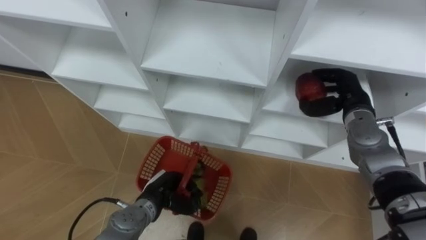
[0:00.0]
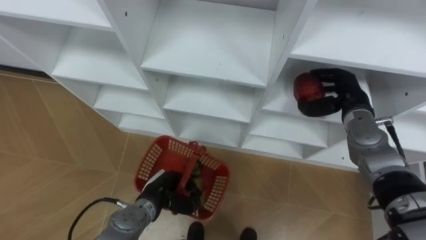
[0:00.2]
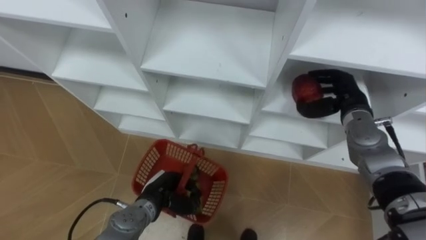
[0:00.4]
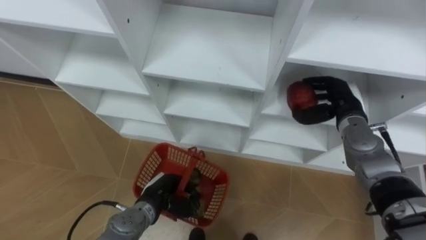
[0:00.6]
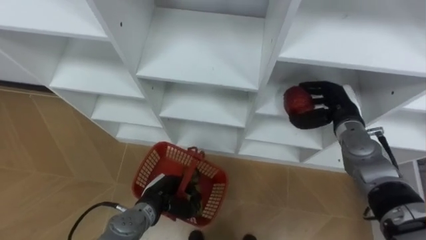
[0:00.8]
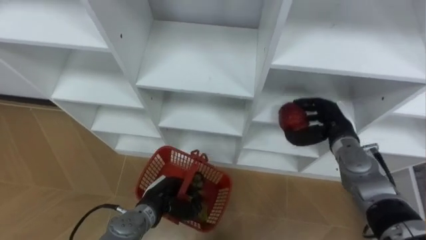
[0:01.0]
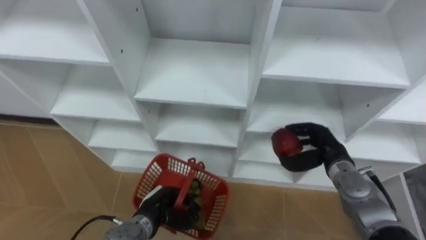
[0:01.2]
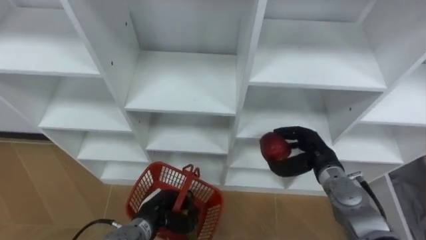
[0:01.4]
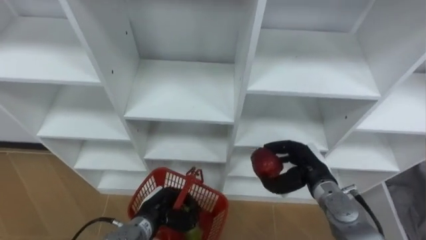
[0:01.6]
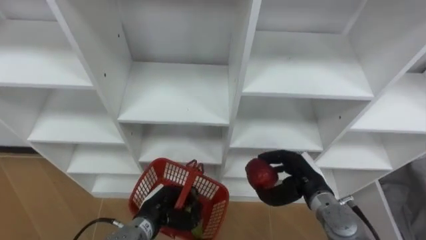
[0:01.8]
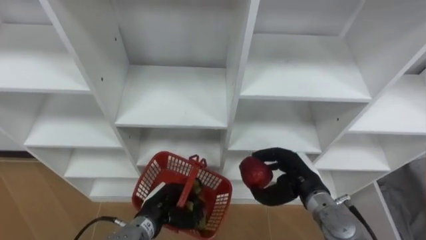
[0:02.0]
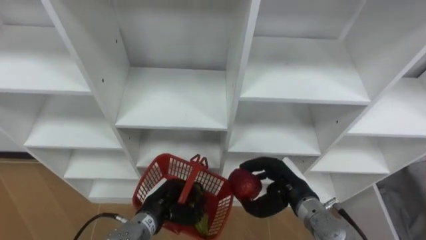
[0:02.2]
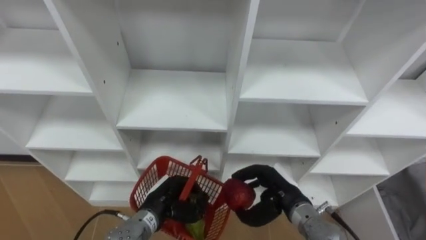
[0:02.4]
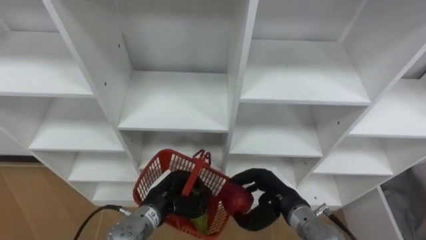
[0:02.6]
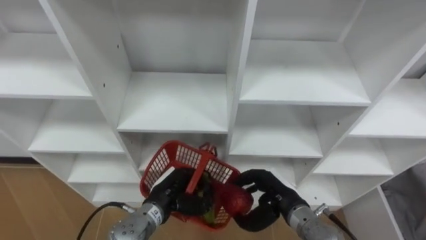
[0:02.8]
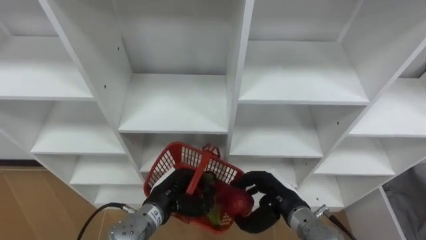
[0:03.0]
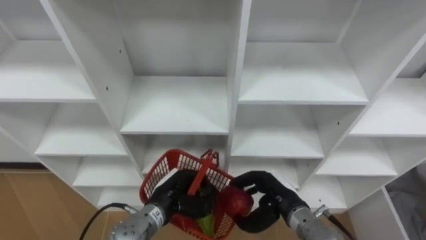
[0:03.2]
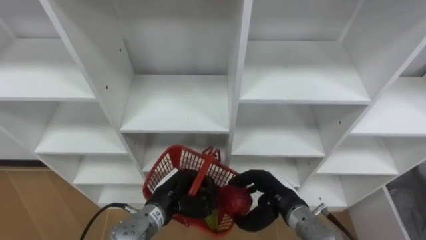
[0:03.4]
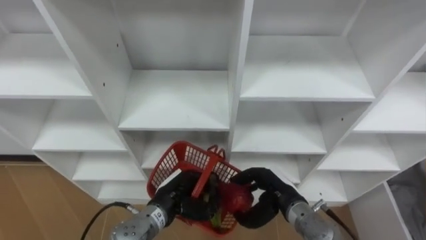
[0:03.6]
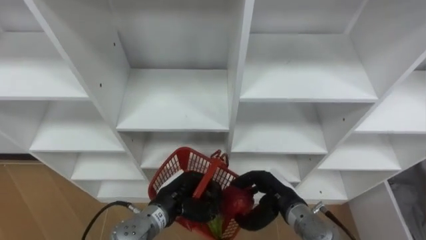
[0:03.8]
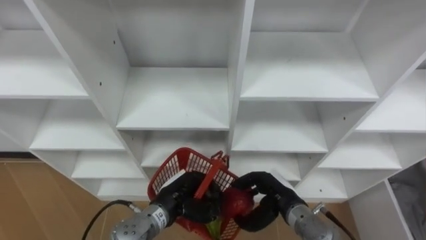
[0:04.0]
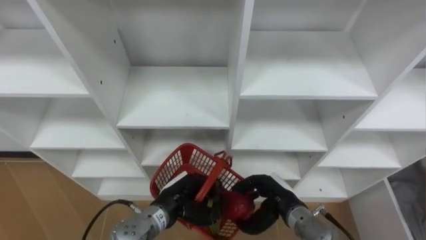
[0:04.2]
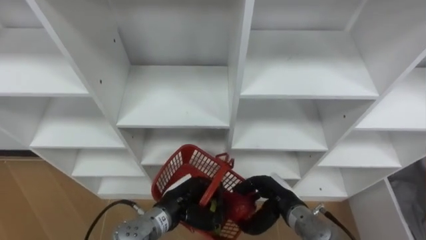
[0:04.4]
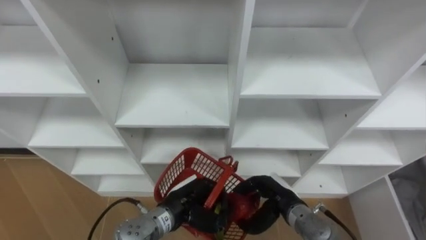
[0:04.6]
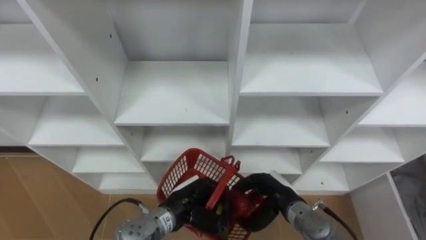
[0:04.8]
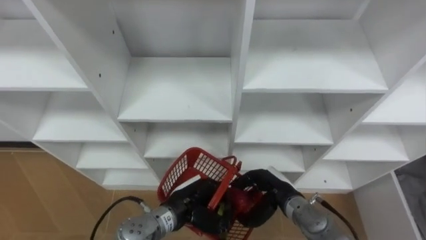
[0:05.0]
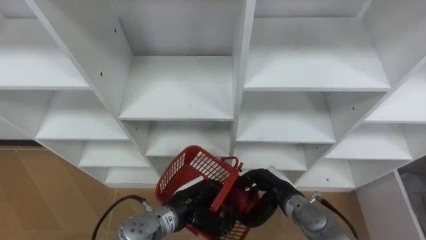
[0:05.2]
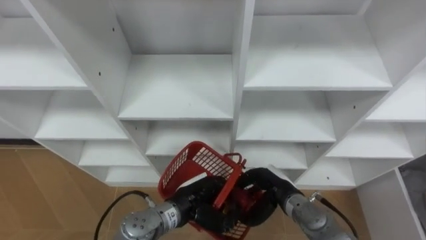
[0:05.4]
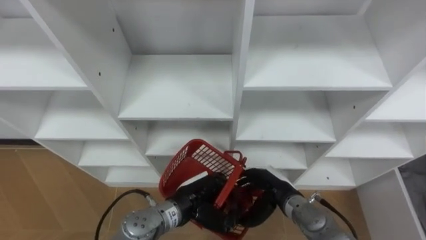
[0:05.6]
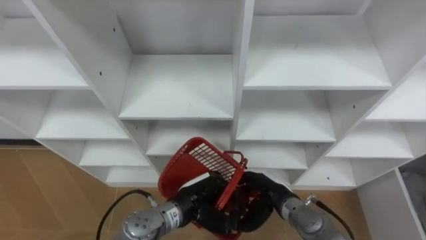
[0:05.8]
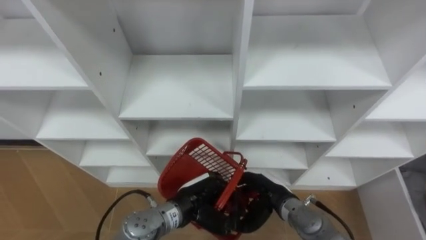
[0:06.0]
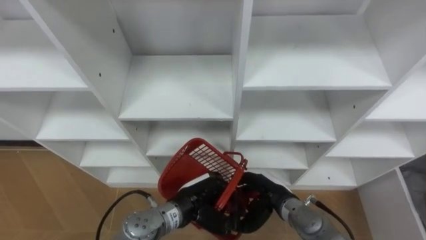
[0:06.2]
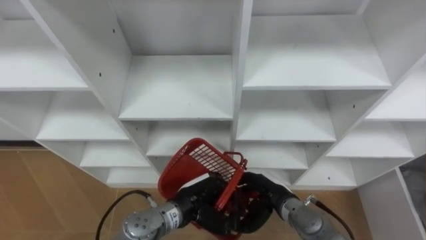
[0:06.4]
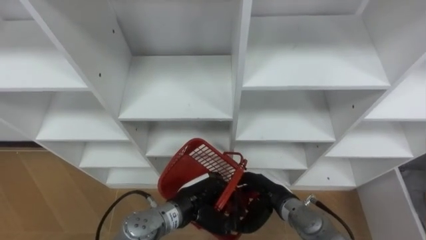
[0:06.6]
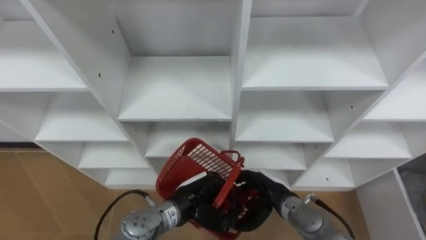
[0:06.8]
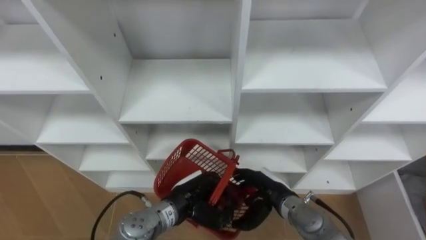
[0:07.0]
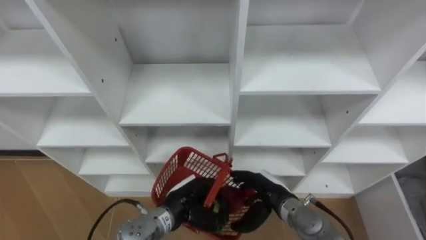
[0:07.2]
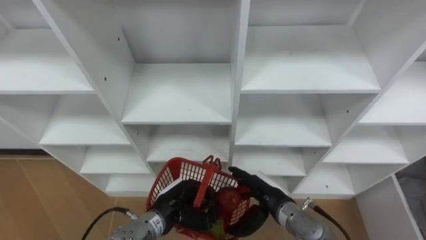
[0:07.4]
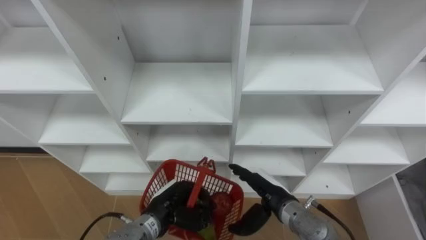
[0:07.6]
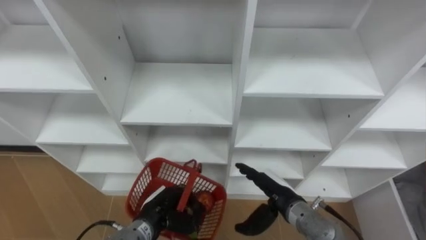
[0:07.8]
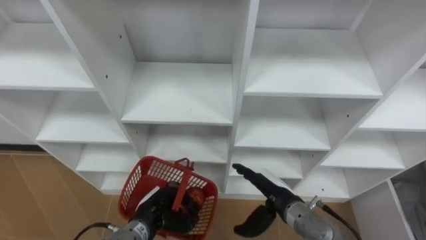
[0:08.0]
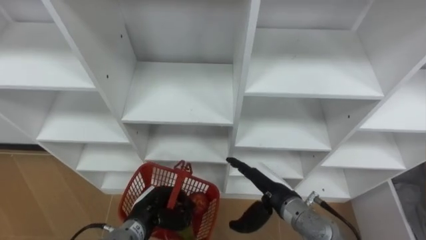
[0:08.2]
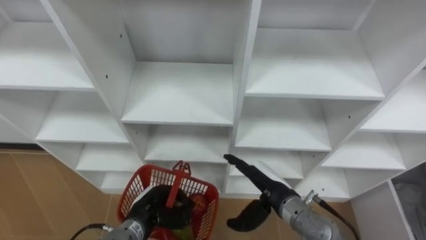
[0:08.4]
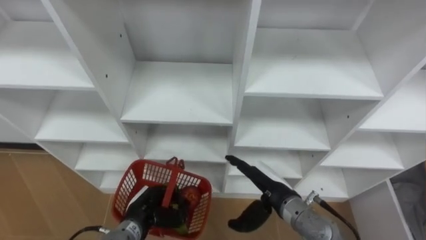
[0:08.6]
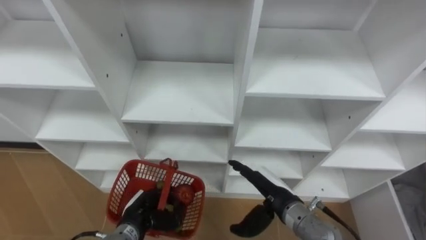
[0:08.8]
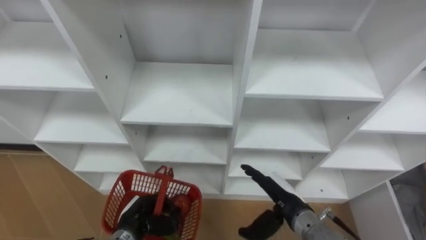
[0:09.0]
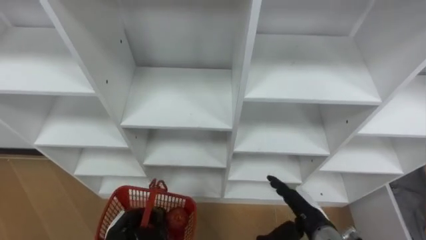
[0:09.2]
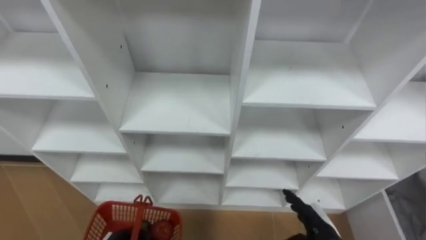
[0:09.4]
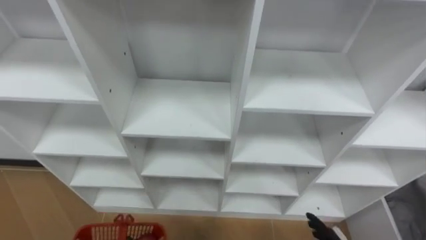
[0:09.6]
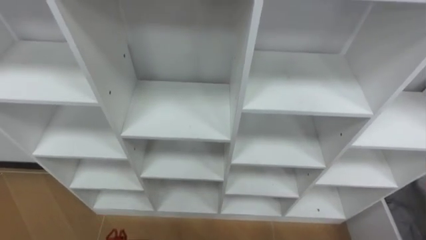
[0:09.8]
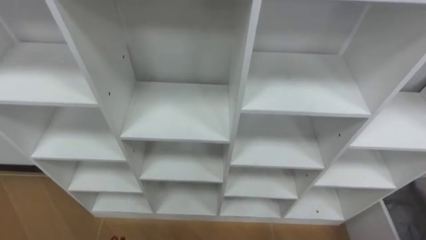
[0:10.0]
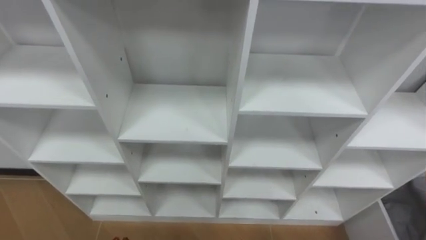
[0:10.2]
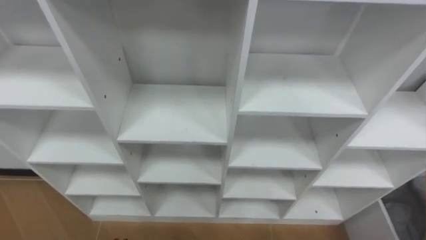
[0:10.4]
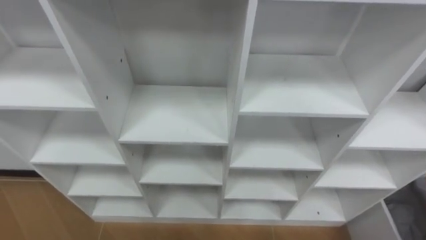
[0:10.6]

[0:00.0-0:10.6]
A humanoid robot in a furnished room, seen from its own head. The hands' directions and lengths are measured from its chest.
Task of the whole recording: Hold the basket and collect the fruits from 3 different cells of the closet into it.
0:00.0 to 0:01.6: The right hand is displaced backward, downward and to the left by about 15 cm.
0:01.6 to 0:03.0: The left hand ends up about 5 cm from where it was, while the right hand shifts roughly 10 cm to the left and backward.
0:04.6 to 0:06.0: The right hand opens up.
0:06.0 to 0:07.6: The left hand is displaced to the left by about 5 cm.
0:07.6 to 0:09.0: The left hand travels to the left by some 5 cm.

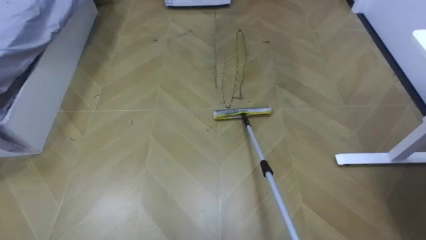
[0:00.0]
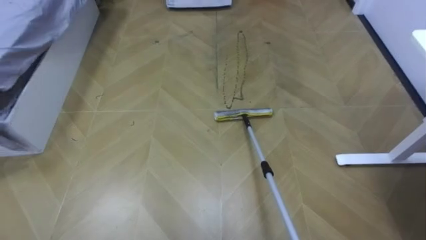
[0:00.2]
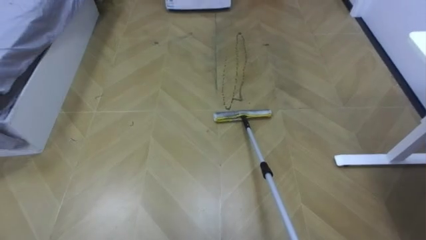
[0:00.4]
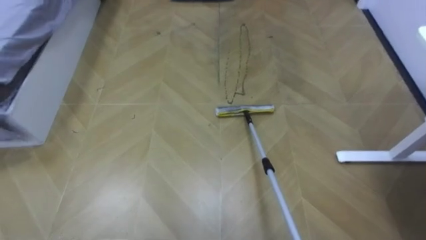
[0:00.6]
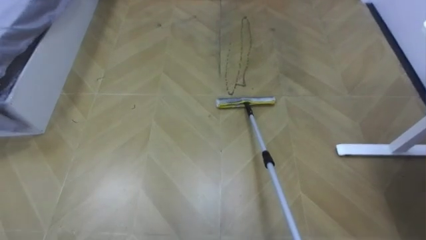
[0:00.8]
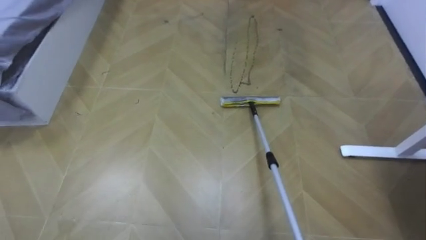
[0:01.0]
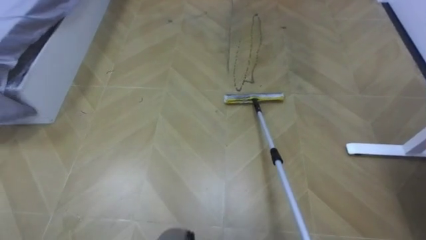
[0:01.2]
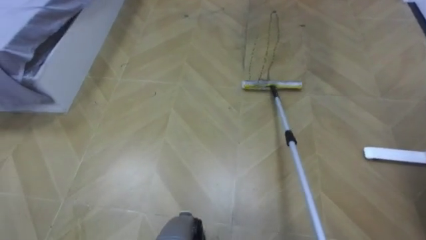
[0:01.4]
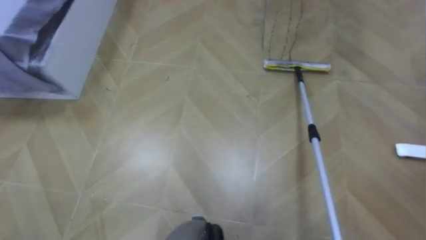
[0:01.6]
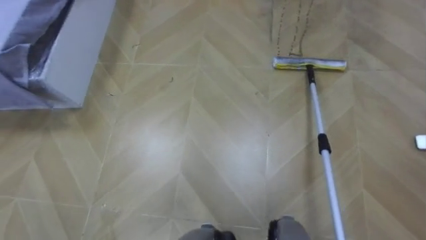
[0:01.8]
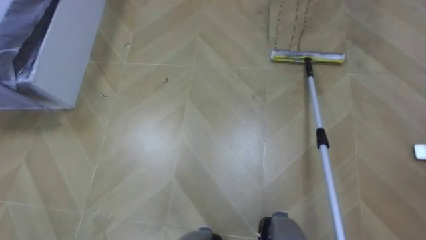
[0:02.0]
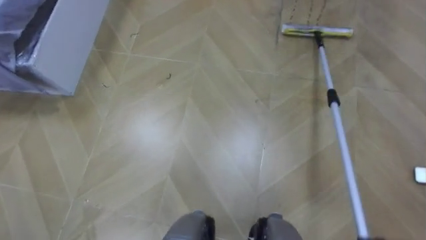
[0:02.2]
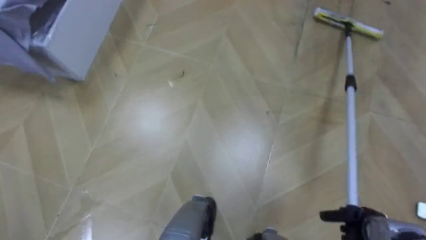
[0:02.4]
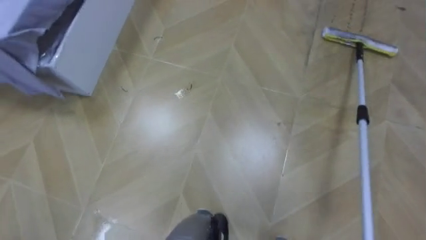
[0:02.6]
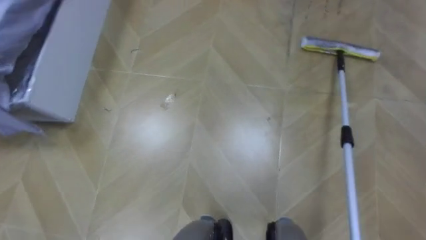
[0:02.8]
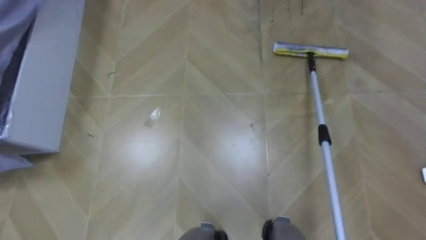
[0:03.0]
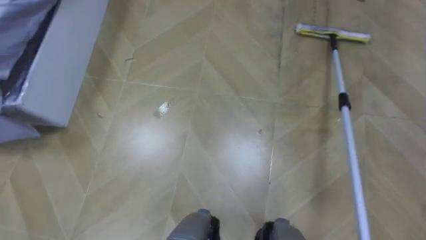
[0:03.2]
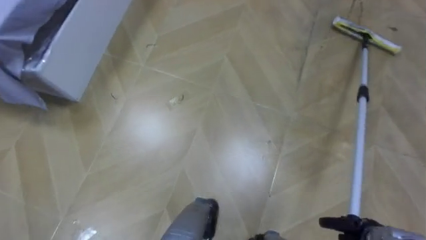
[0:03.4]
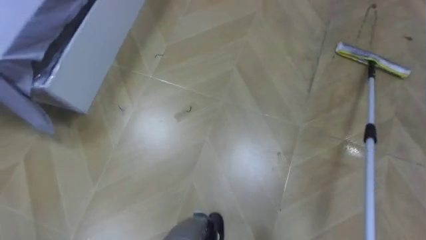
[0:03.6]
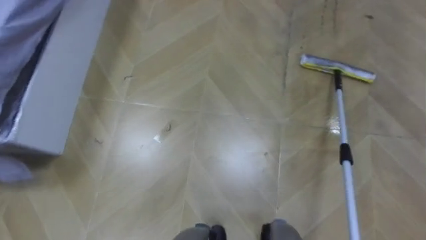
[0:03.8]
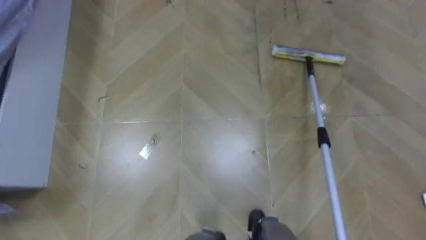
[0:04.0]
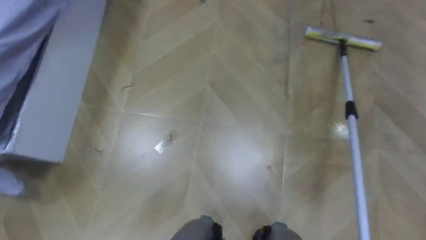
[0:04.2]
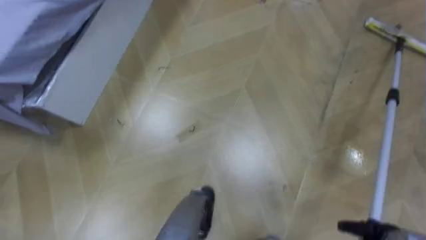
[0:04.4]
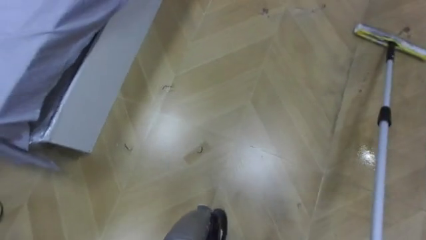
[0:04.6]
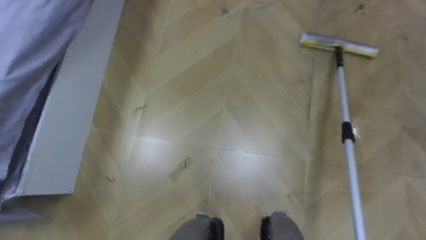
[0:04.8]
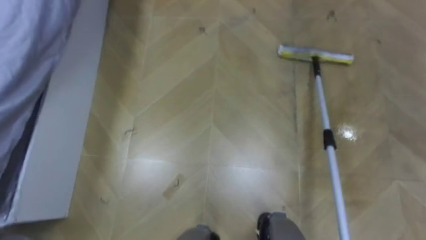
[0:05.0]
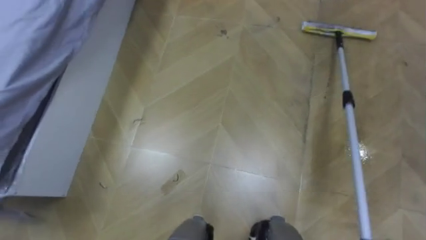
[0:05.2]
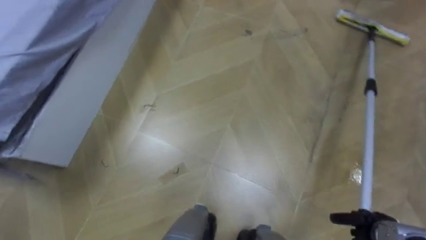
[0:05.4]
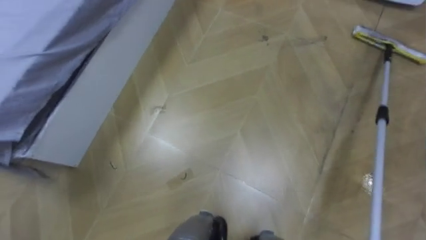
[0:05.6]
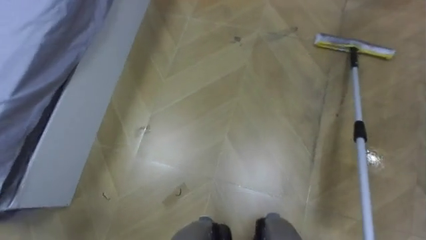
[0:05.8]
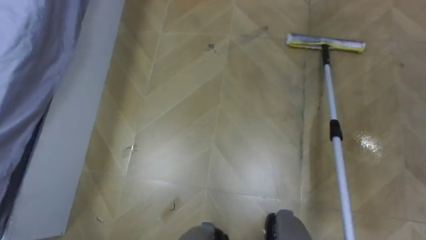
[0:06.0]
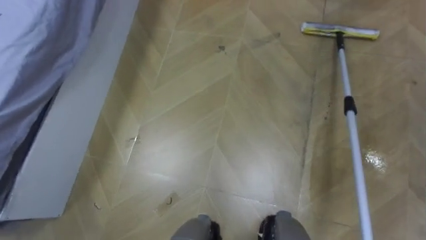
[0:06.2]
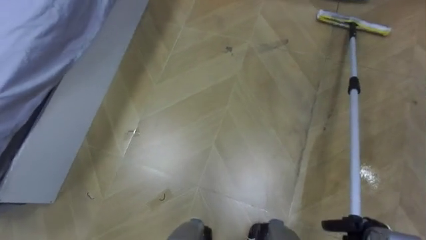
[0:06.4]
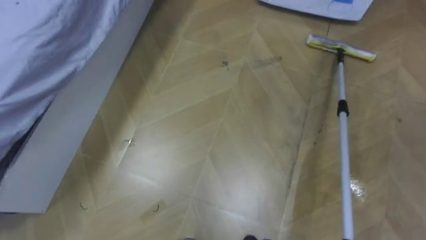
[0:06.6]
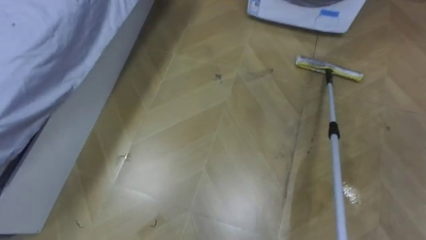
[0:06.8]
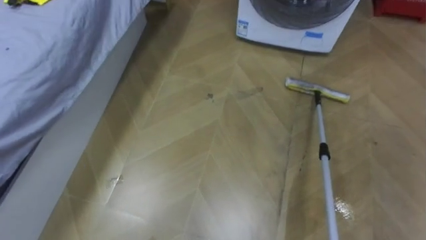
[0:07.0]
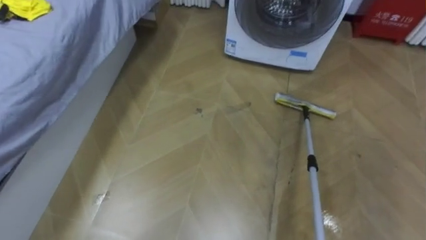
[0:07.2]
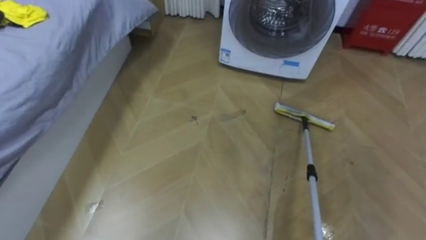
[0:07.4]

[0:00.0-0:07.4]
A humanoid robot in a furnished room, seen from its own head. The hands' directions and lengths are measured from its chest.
Task of the whole recording: Use the mop to clean the black water stains off the floor.
0:03.0 to 0:04.4: The robot's body swings some 15 degrees to its left.
